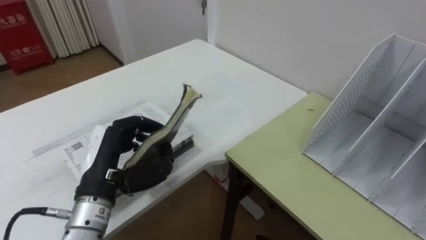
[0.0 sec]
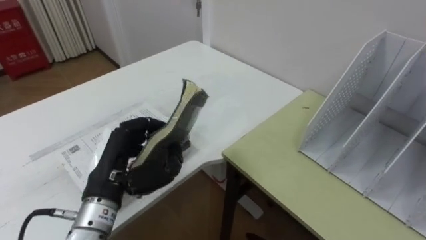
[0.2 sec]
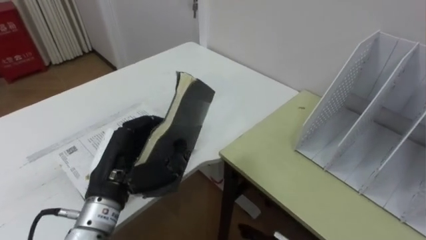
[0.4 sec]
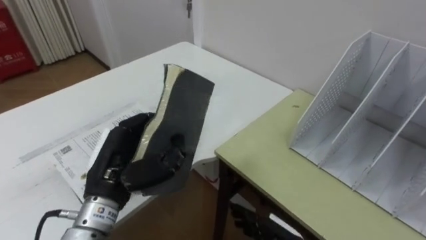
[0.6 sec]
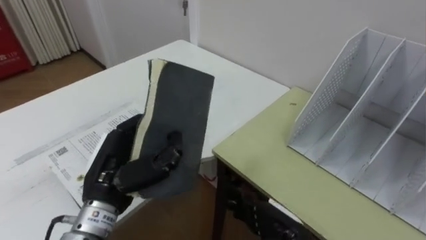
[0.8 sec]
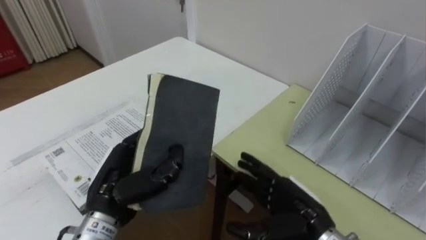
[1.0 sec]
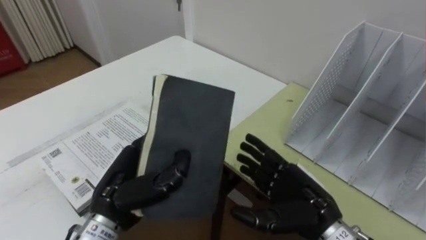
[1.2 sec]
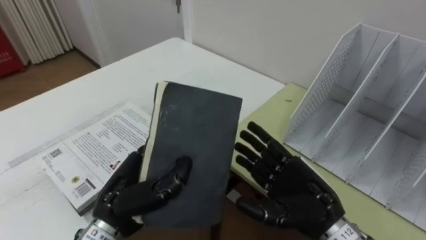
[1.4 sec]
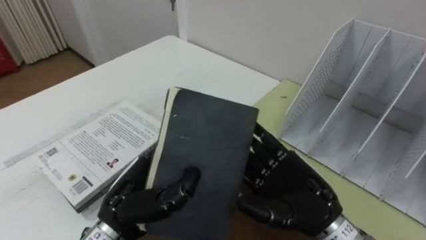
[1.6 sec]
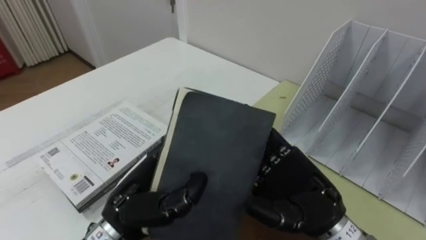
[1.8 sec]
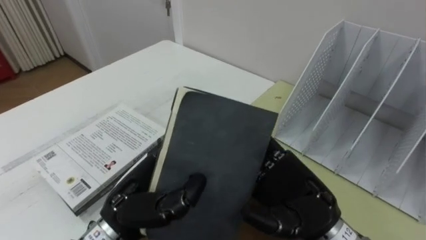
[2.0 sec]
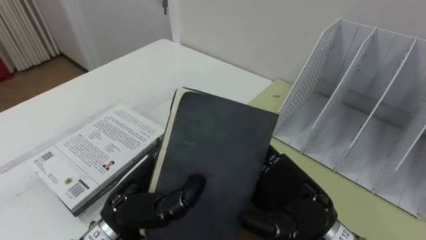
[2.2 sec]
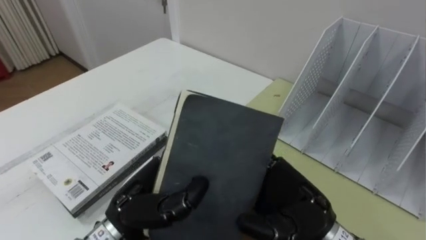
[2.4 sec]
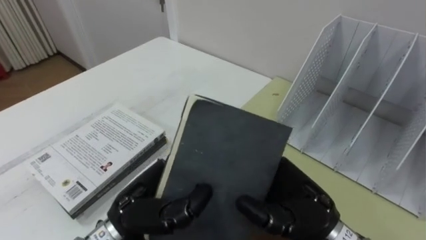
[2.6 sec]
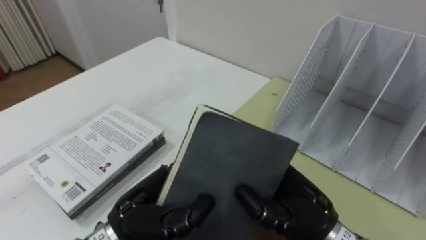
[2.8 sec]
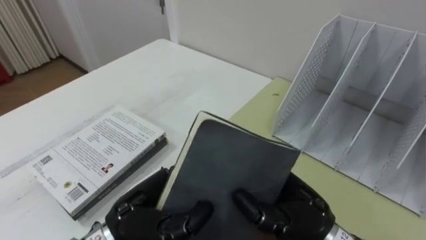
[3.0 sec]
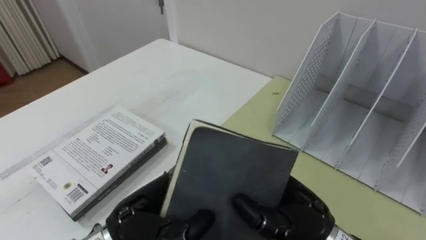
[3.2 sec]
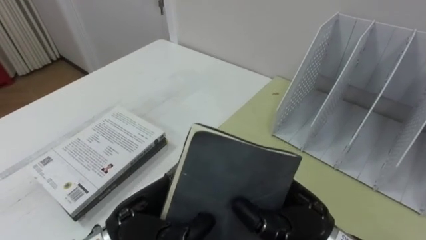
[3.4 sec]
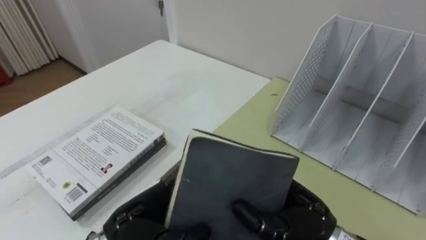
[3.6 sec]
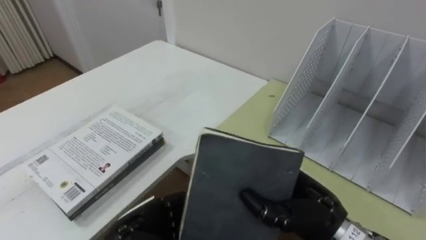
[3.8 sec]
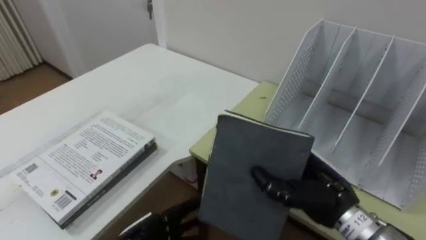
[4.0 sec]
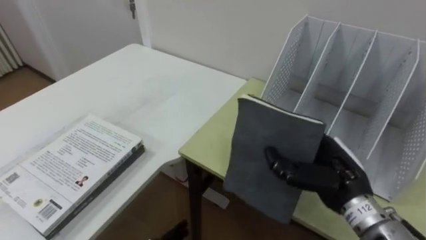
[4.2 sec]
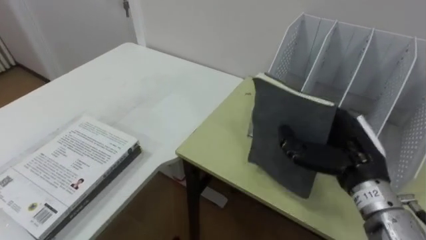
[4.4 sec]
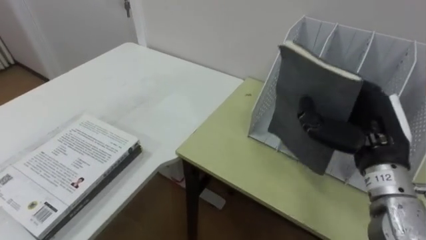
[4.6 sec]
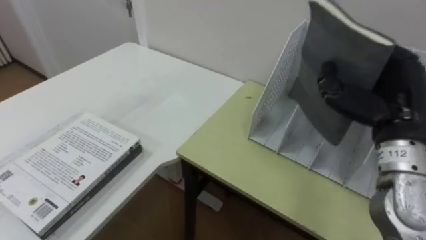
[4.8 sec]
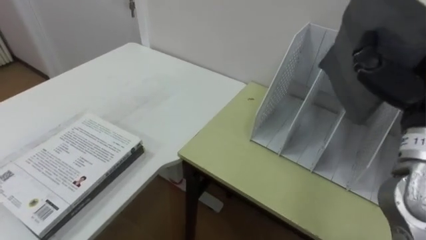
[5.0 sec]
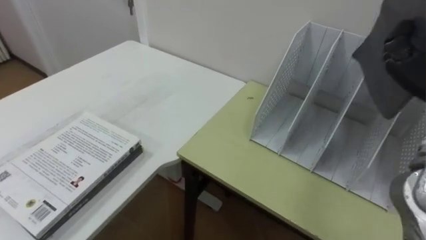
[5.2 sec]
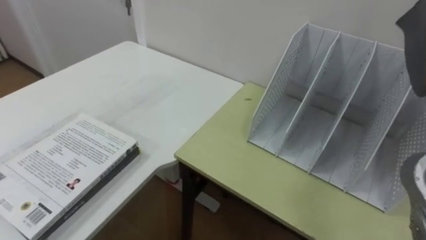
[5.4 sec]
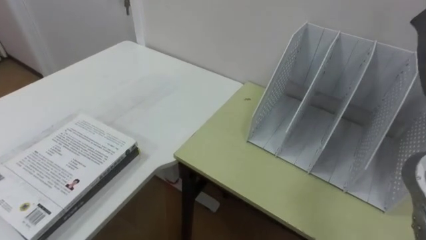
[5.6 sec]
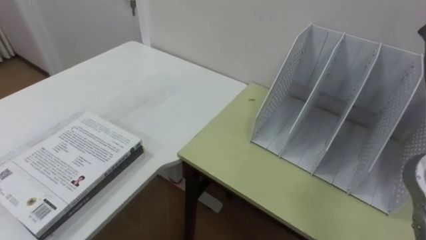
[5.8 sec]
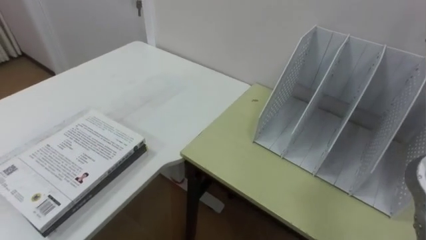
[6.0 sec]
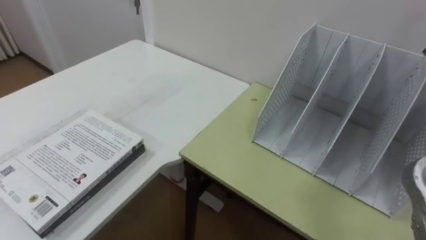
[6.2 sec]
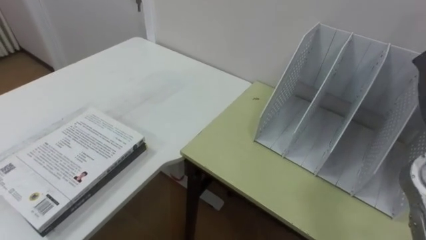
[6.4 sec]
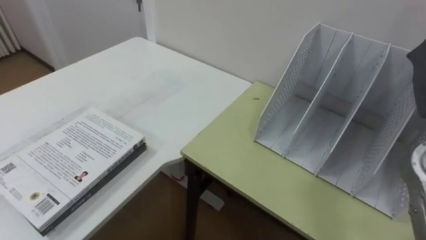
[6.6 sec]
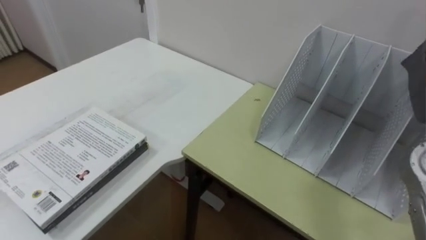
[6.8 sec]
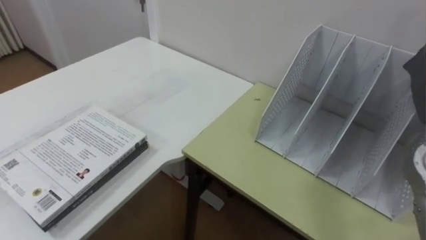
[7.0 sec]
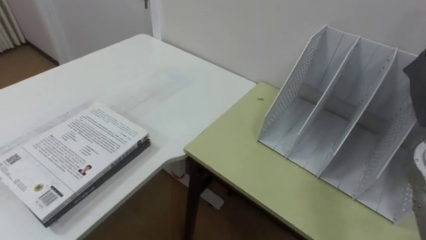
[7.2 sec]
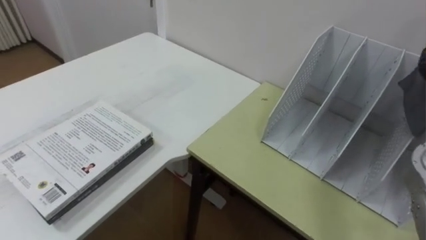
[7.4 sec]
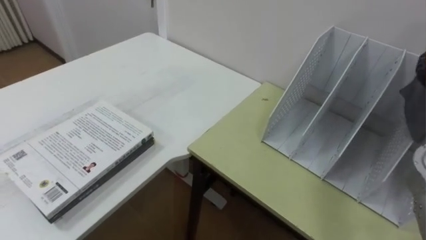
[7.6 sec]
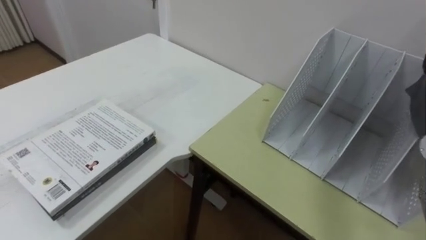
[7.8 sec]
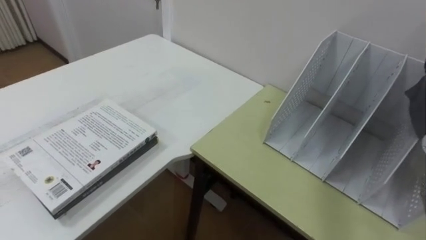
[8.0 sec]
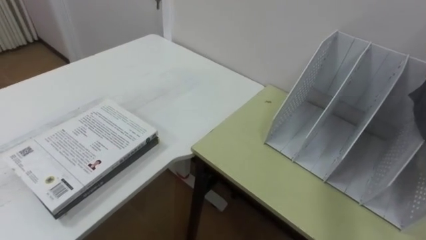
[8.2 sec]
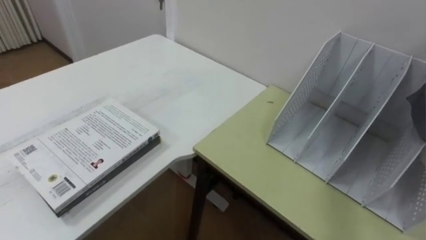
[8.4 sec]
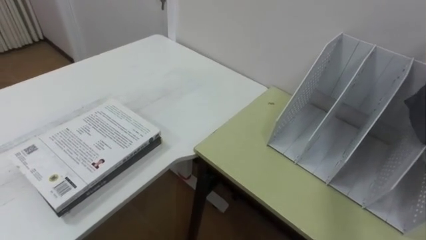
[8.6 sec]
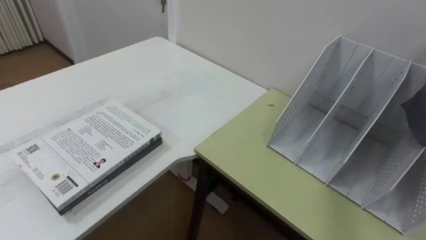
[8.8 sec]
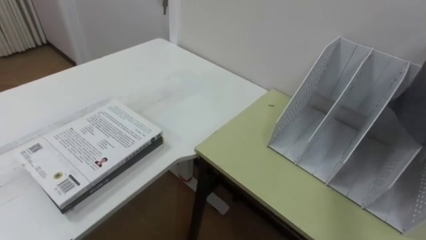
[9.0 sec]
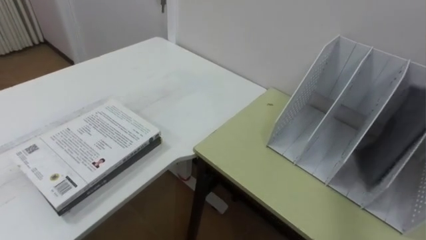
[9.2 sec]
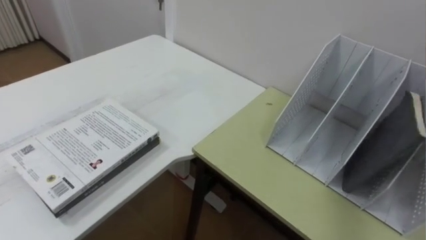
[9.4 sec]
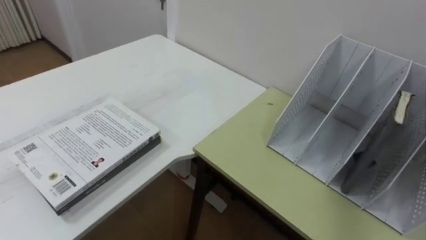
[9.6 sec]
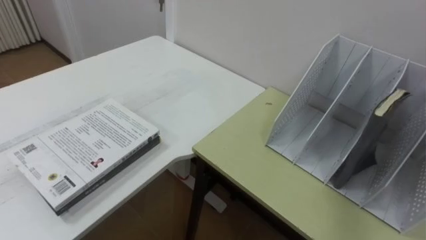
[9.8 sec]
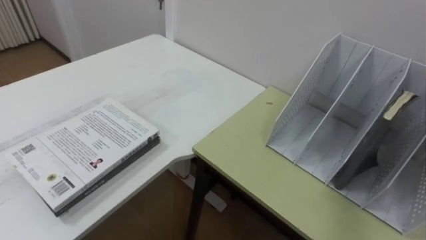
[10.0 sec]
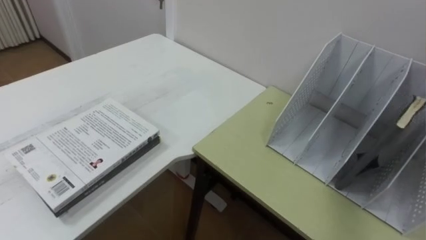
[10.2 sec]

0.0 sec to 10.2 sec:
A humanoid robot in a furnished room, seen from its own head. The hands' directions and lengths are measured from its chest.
Task of the whole recording: Put the books on the table onto the bookshelf.
0.0 sec to 1.4 sec: The left hand ends up about 5 cm from where it was.
1.4 sec to 3.0 sec: The right hand closes.
3.0 sec to 4.4 sec: The right hand travels to the right and forward by some 10 cm.

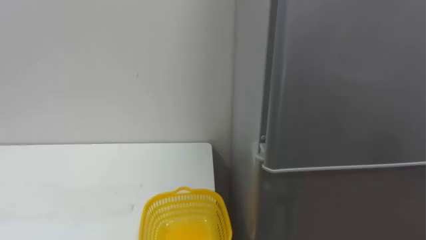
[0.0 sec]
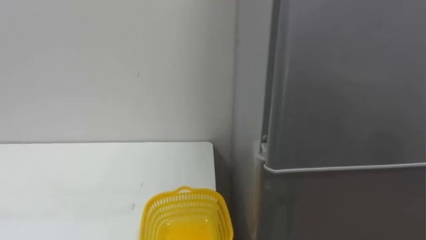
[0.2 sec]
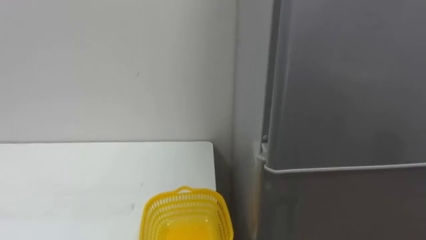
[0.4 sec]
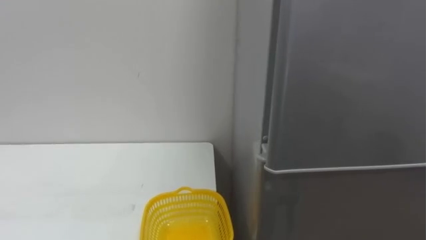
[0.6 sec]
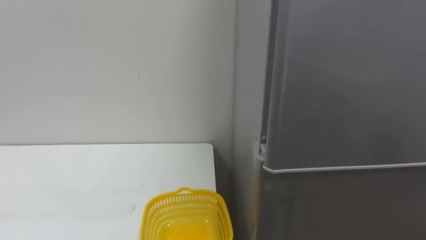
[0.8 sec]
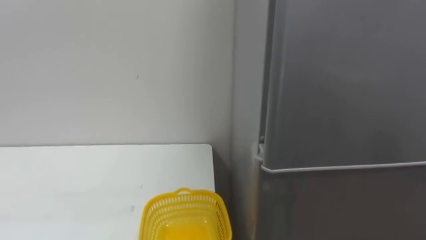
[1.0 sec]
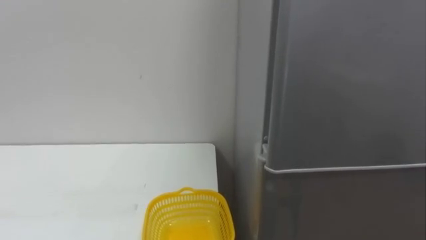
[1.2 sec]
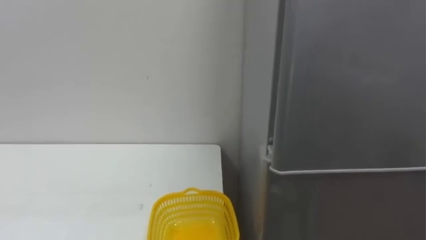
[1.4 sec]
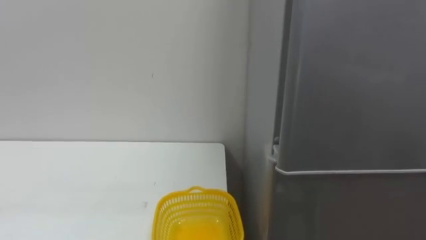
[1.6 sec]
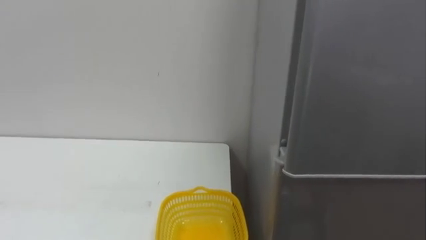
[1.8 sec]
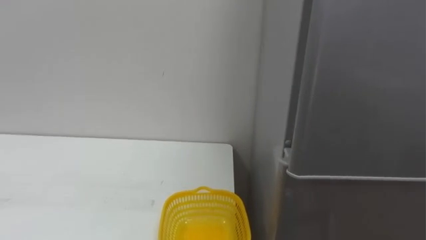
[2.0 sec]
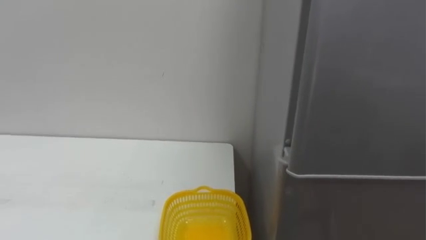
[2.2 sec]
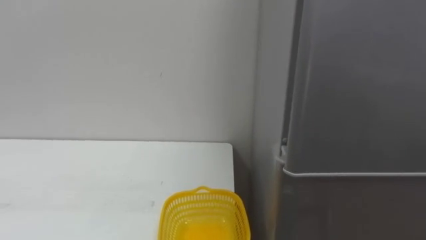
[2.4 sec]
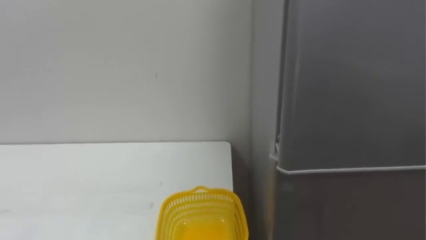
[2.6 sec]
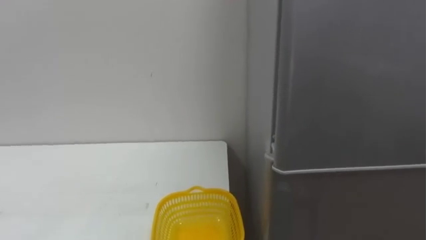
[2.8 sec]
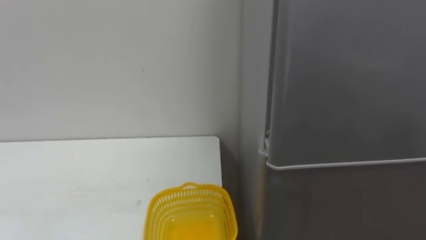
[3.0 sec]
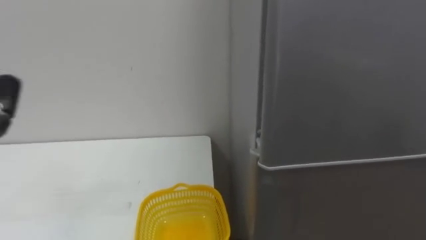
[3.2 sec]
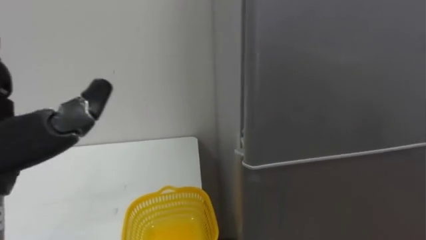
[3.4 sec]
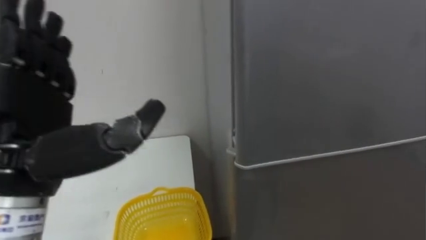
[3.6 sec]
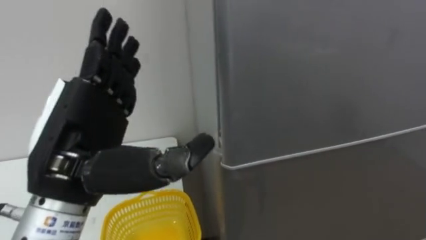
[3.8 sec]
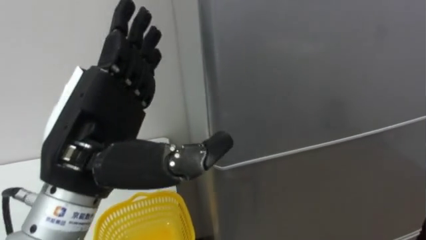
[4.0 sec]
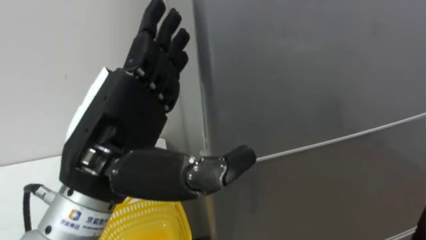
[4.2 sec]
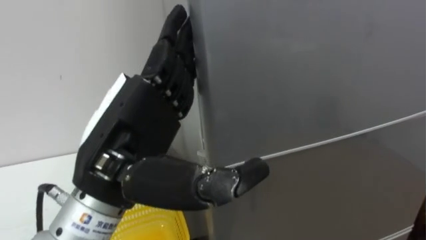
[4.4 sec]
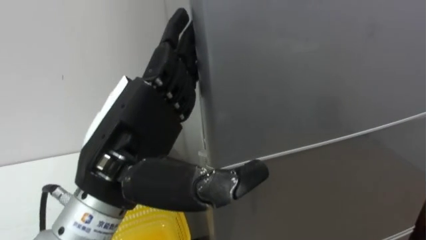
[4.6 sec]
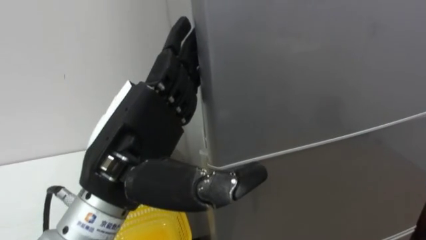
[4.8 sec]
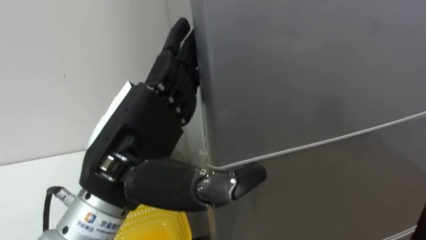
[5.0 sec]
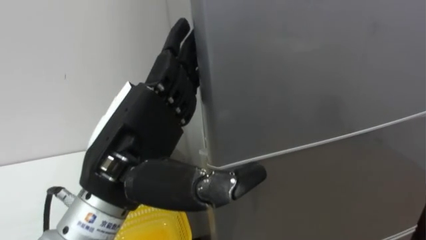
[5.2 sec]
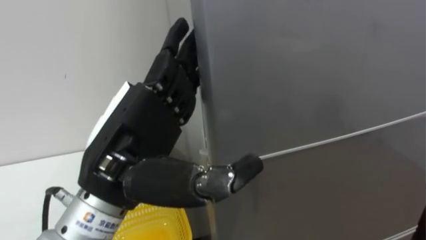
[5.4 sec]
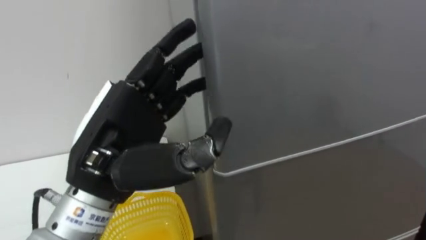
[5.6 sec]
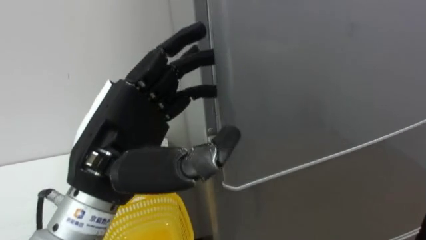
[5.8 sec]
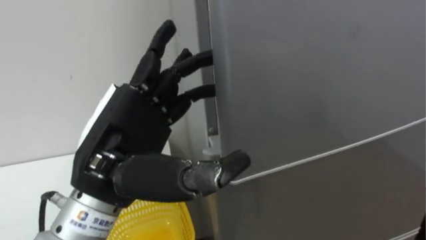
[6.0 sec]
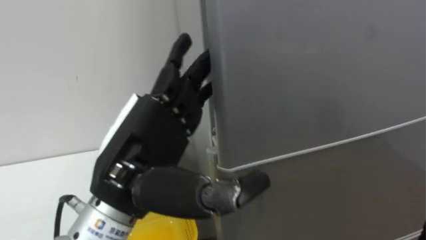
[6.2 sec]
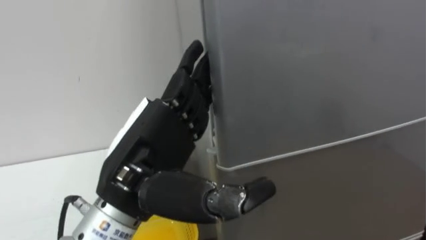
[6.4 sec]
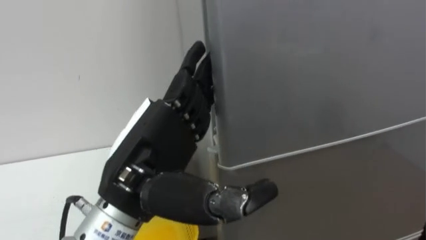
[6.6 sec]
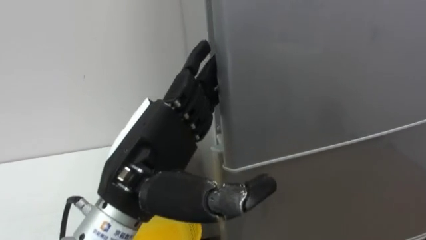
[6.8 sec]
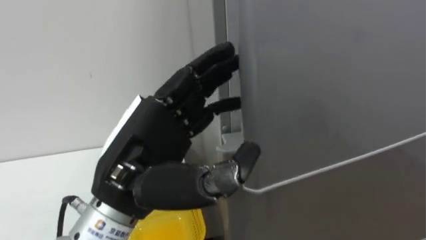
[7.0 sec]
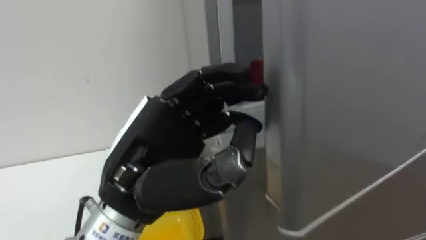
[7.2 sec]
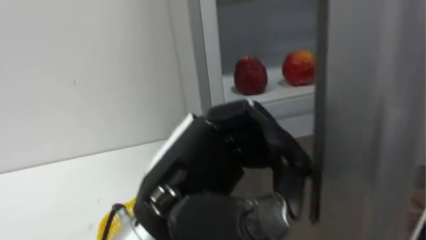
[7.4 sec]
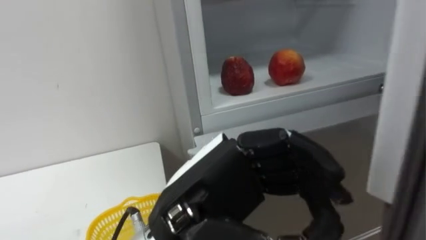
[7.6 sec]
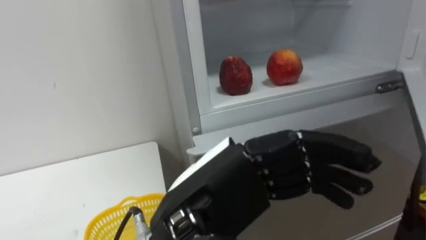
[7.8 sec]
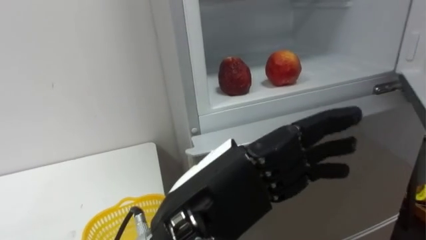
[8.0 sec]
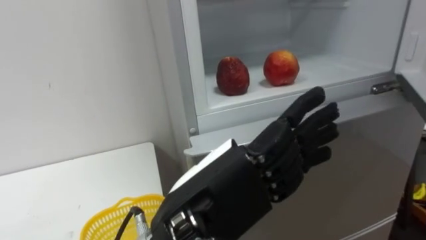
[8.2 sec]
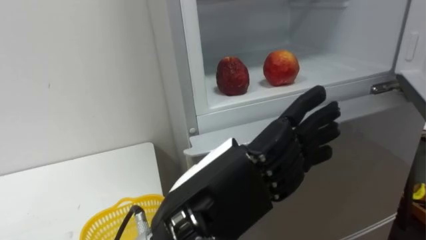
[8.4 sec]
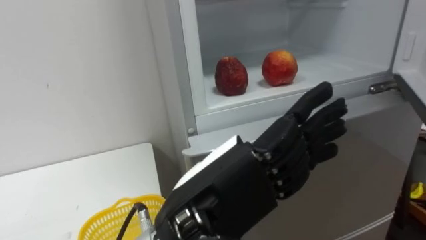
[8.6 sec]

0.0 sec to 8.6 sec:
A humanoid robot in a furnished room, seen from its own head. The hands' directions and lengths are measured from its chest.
Task of the whole recording: Open the refrigerator door, take out the apple and the pomegranate, place them in the fruit basket on the left, and close the refrigerator door.
5.8 sec to 7.2 sec: The left hand closes up.
7.2 sec to 8.6 sec: The left hand shifts roughly 5 cm to the right, and opens up.
